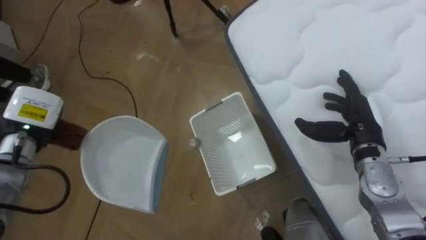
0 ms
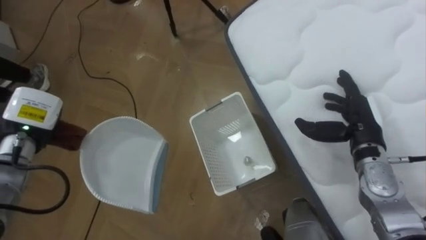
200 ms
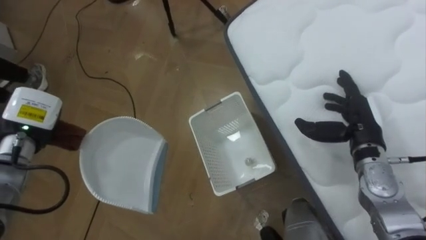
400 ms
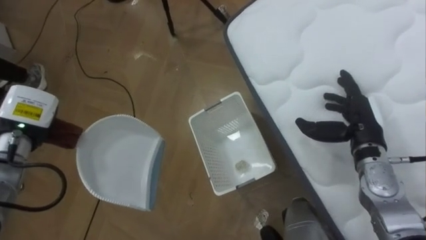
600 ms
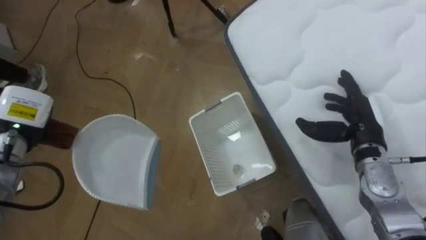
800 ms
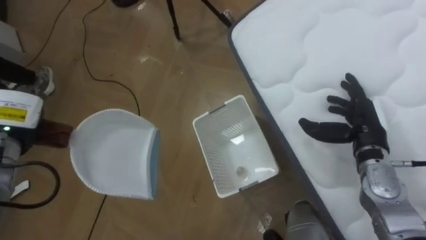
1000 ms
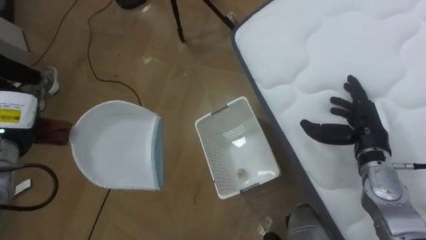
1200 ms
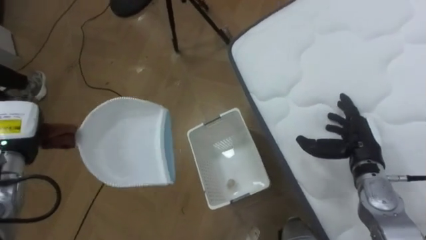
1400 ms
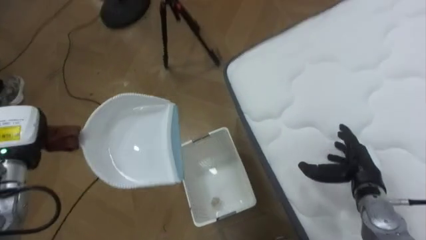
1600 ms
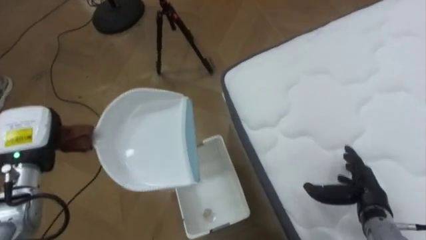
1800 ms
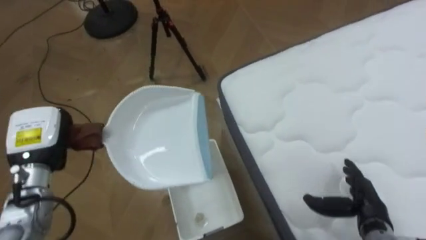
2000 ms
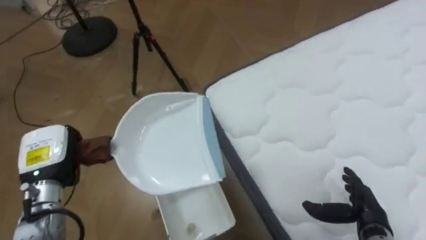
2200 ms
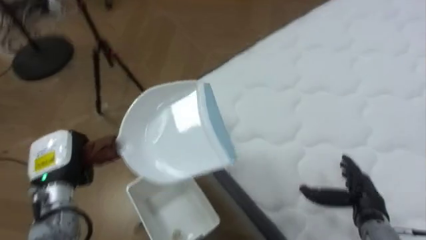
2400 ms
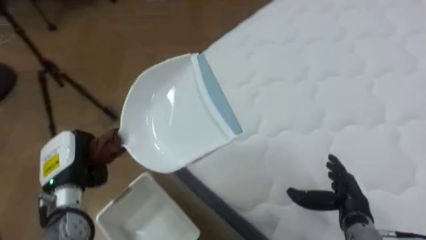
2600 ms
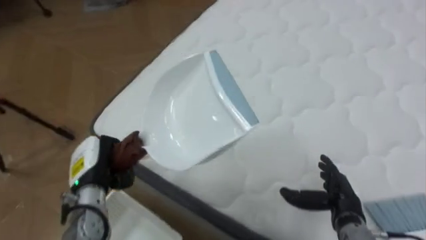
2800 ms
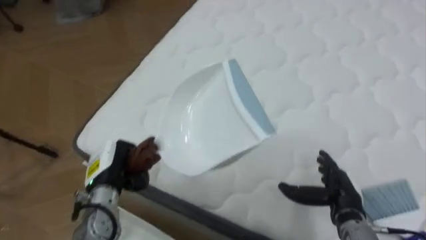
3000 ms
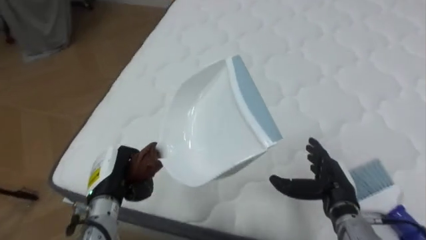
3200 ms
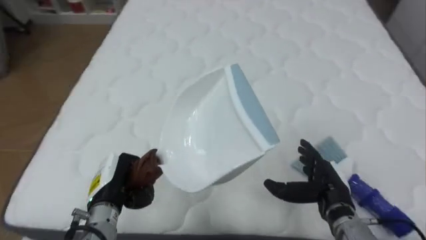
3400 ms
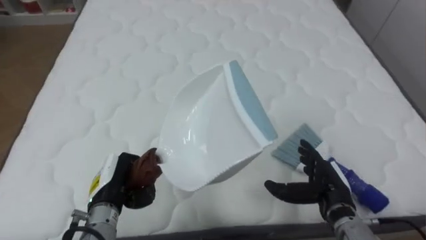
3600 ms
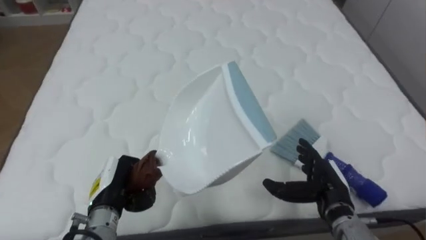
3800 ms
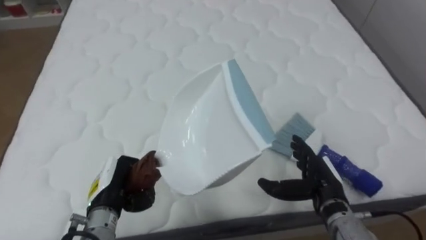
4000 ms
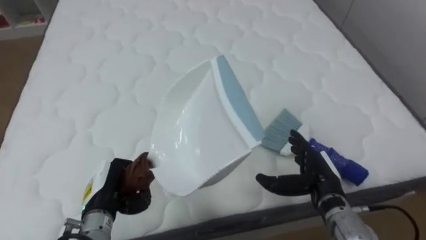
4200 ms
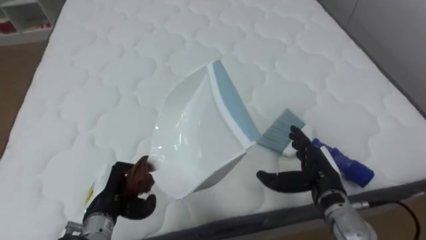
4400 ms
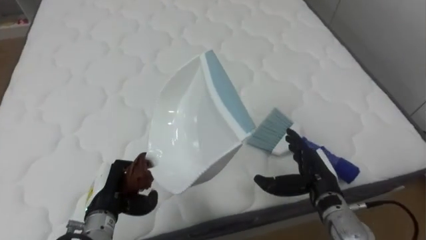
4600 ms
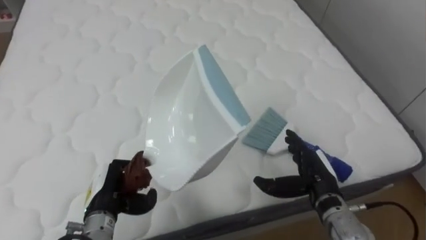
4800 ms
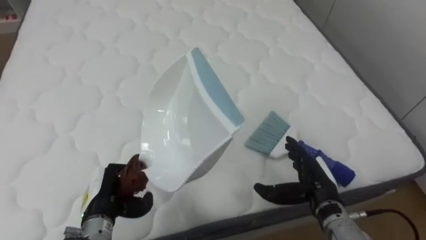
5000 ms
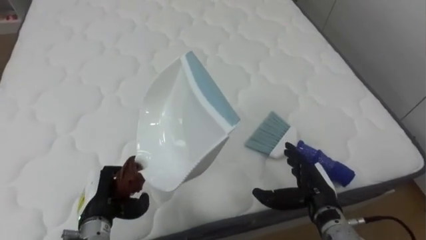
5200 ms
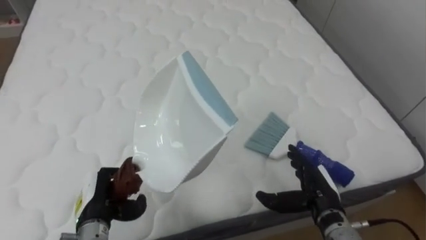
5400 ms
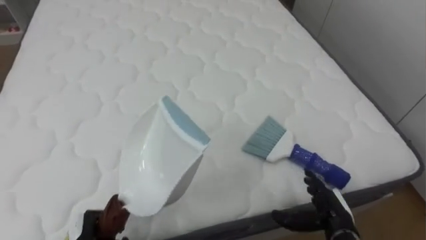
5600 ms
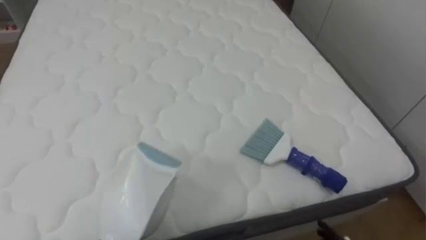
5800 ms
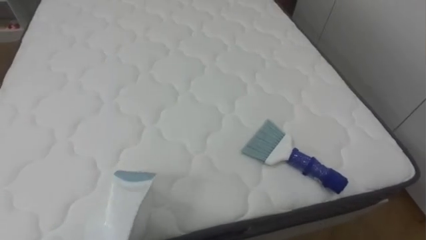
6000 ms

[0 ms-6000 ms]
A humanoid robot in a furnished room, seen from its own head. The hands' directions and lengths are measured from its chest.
Task of the whole recording: Pick up the brush on your right and the dustpan on your left. Use the brush to sweep the crumpled paper on the bed into the dustpan, then turn left and empty it into the basket.
0 ms to 1600 ms: The right hand heads downward, covering some 5 cm.
1600 ms to 3000 ms: The robot's body swings some 50 degrees to its right. The left hand travels to the right and downward by about 15 cm, while the right hand changes place by some 5 cm.
3000 ms to 4400 ms: The robot's body swings roughly 35 degrees to its right. The right hand moves some 5 cm.

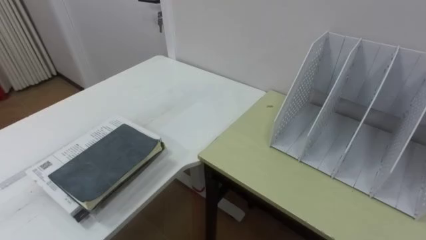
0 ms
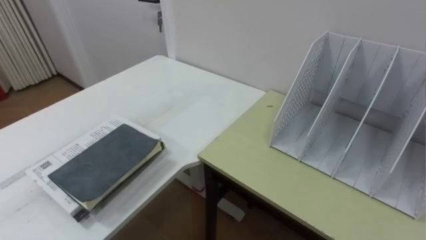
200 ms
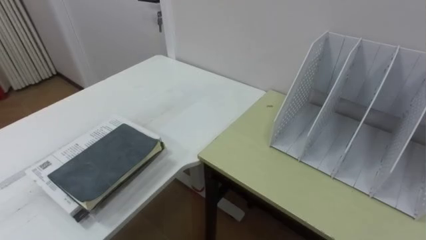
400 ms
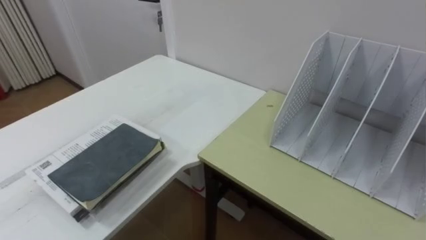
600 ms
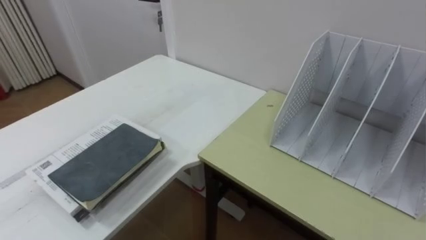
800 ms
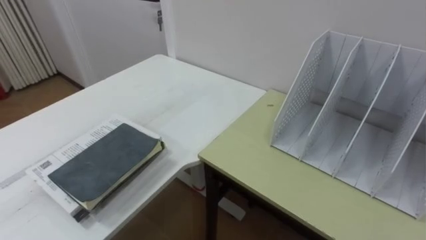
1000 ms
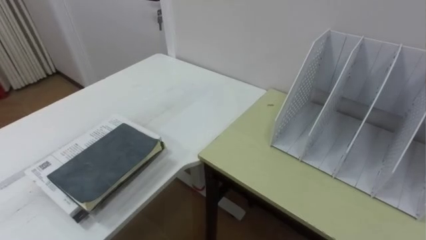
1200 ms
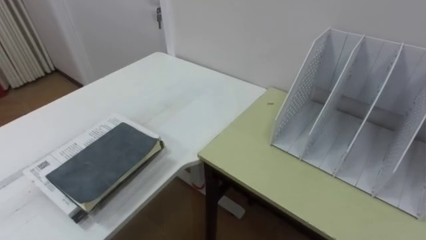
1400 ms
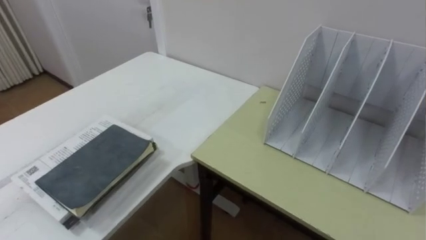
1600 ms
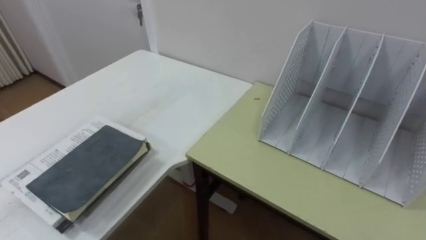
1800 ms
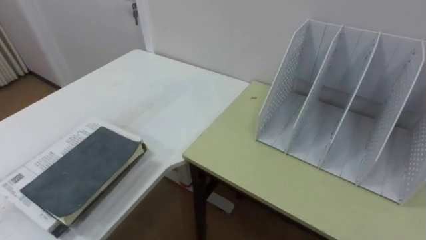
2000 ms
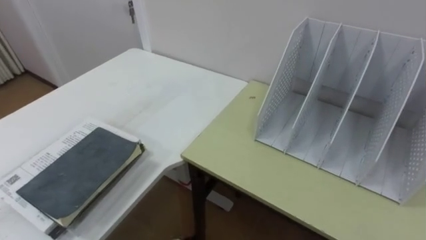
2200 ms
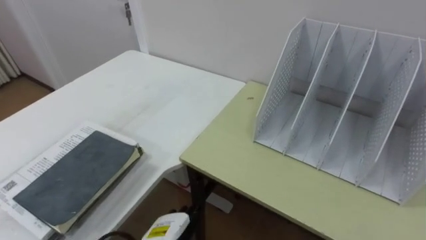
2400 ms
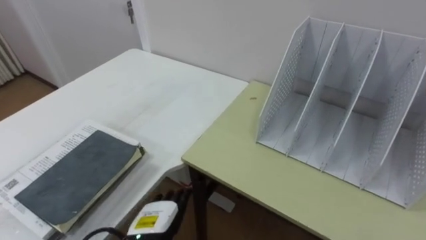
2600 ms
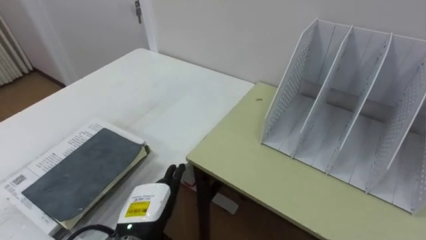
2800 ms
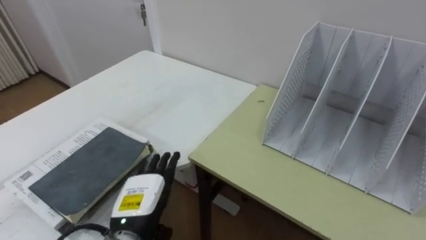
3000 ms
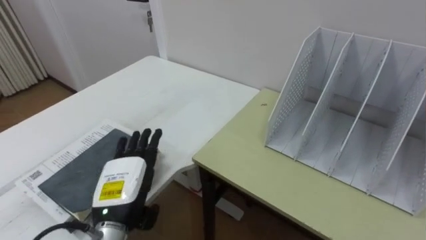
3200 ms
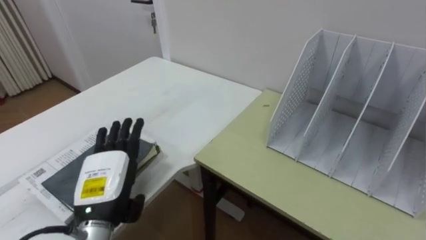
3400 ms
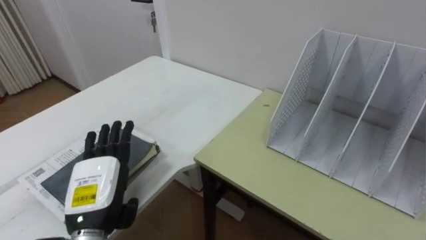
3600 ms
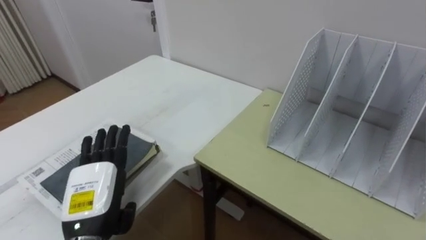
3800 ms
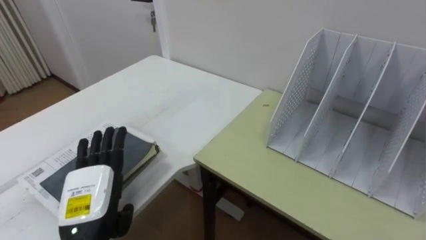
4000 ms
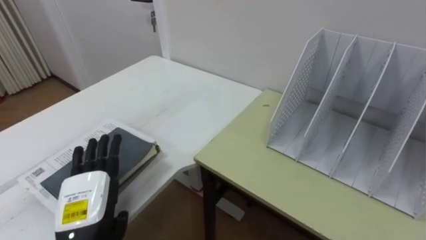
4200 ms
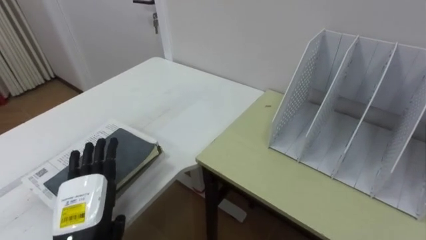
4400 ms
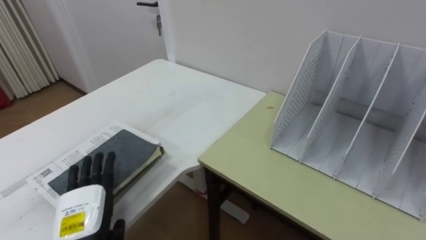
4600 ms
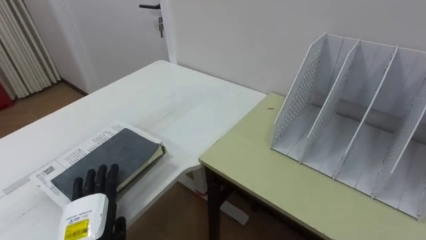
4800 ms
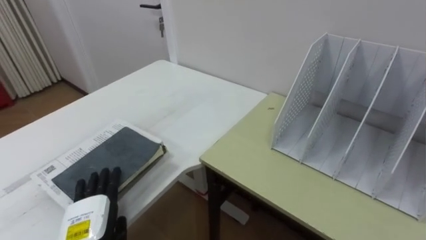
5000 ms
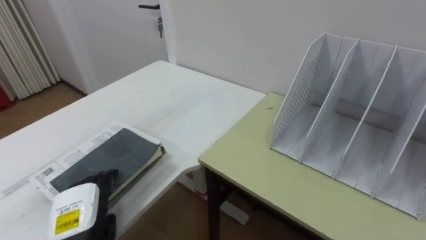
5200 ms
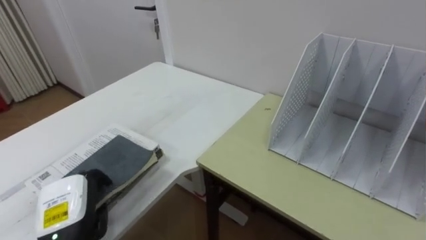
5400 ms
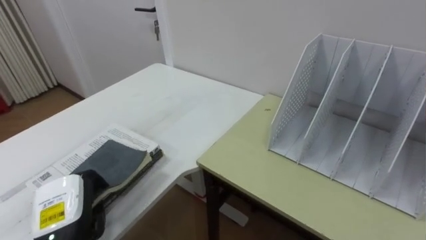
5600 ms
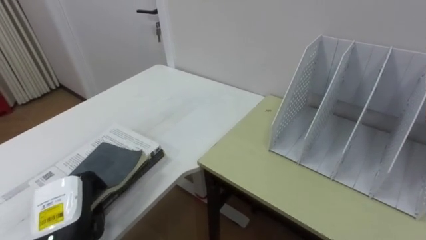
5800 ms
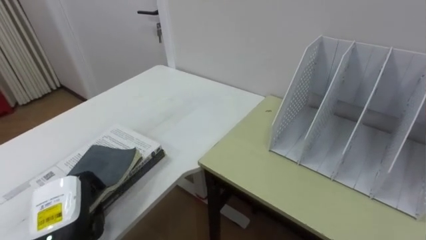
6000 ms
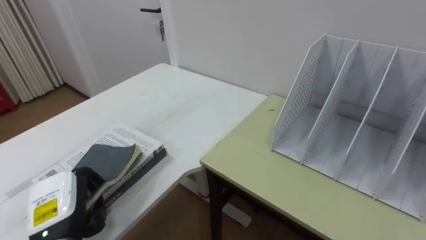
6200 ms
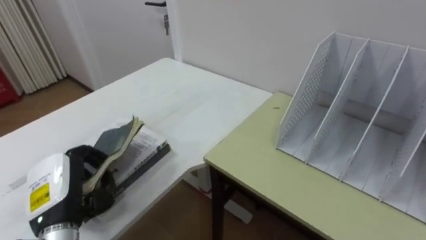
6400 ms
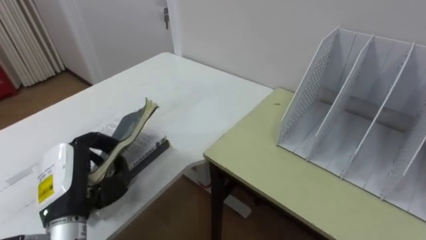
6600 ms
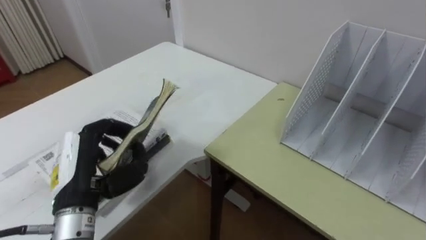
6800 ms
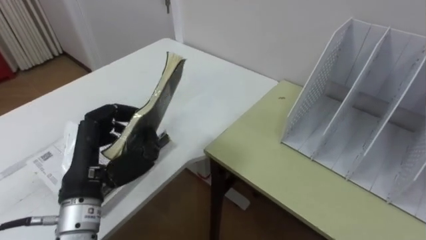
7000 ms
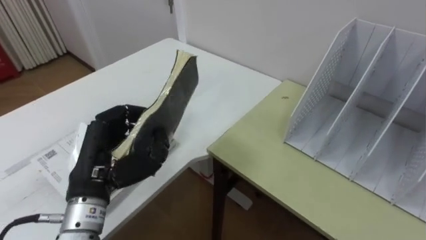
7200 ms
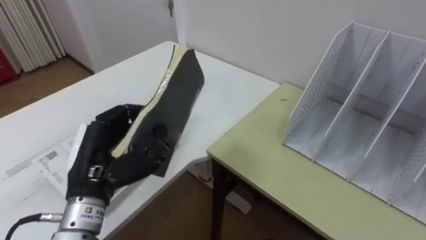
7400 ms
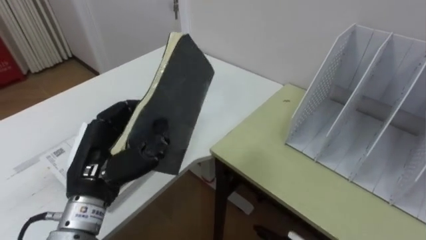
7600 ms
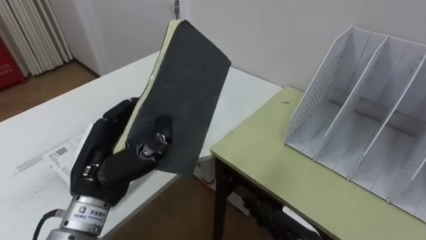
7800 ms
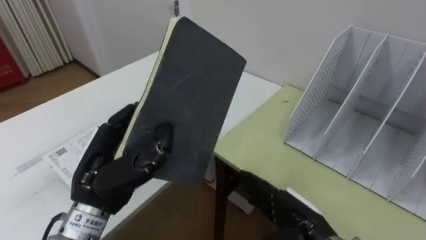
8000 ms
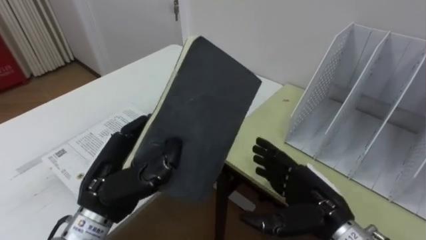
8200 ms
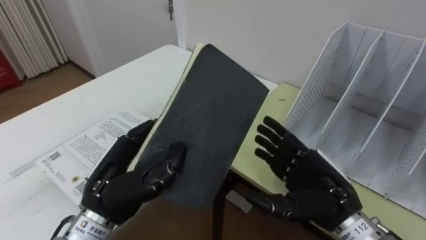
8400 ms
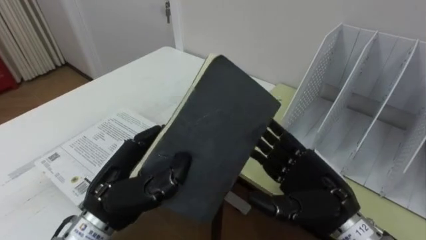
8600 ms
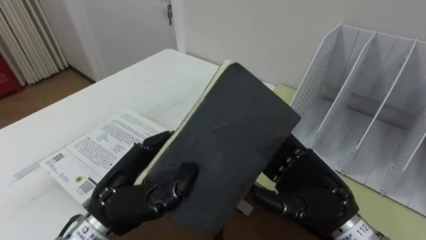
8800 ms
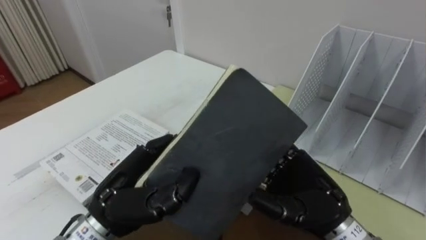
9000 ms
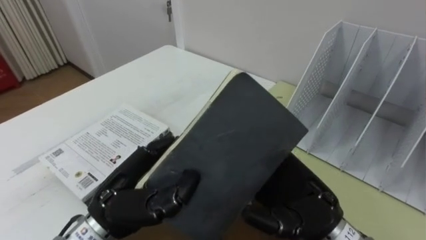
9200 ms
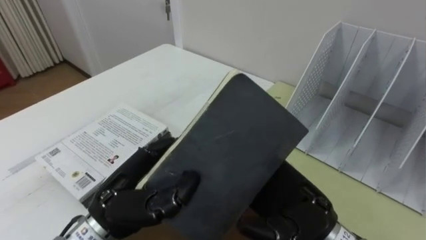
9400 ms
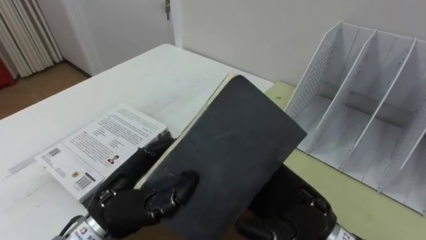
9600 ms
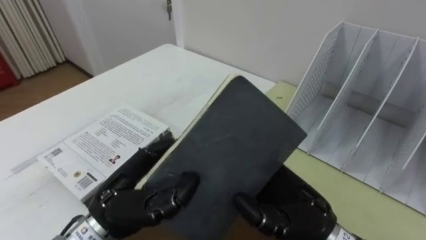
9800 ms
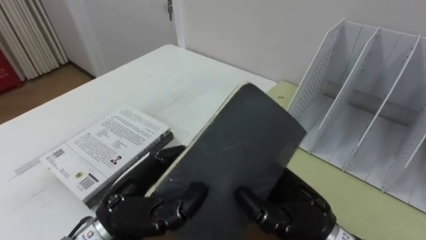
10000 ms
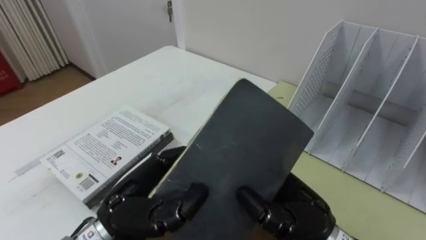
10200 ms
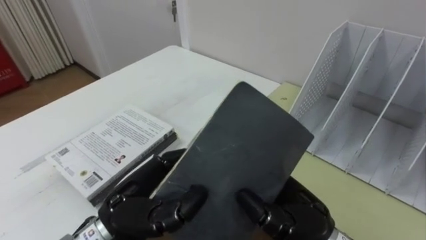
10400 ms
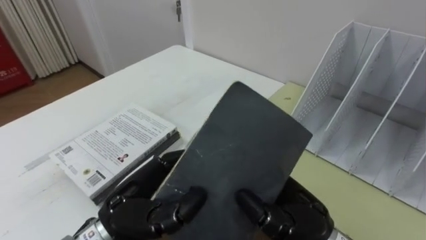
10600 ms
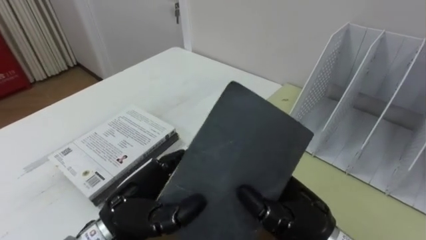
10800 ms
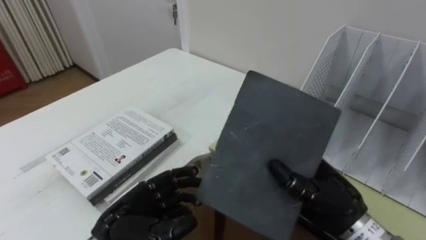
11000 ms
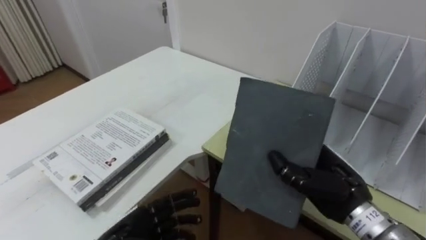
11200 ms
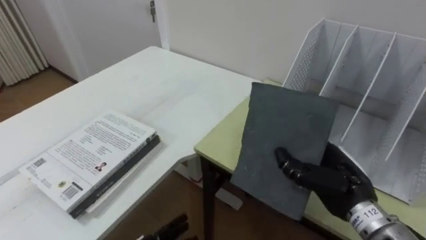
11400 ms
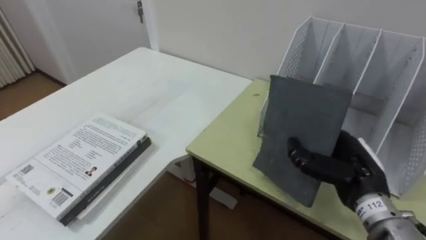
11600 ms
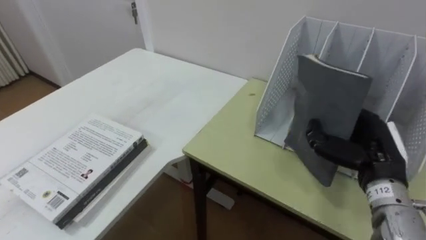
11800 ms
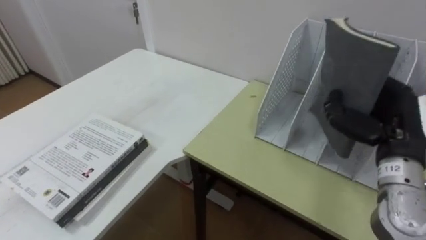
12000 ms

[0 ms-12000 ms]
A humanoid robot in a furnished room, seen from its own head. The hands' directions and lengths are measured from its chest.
Task of the whole recording: Put the books on the table onto the bookshelf.
3000 ms to 4400 ms: The left hand is displaced to the left by about 10 cm.
4400 ms to 6000 ms: The left hand closes up.
6000 ms to 7600 ms: The left hand moves upward and to the right, about 15 cm.
7600 ms to 9000 ms: The left hand travels to the right by about 5 cm.
9000 ms to 10400 ms: The right hand closes.
10400 ms to 12000 ms: The right hand travels to the right and forward by some 20 cm.
